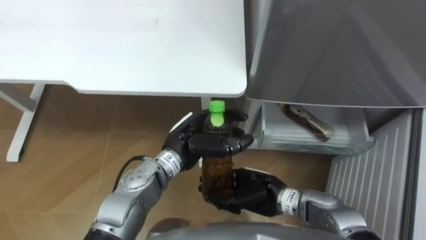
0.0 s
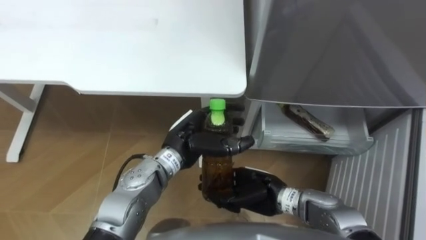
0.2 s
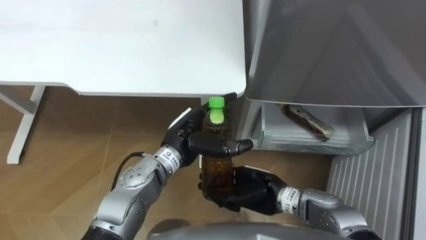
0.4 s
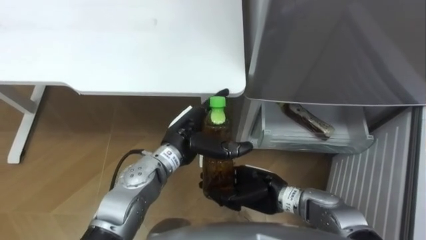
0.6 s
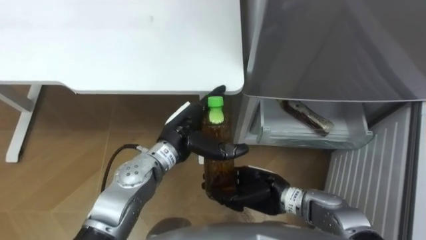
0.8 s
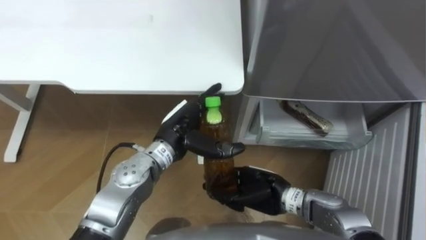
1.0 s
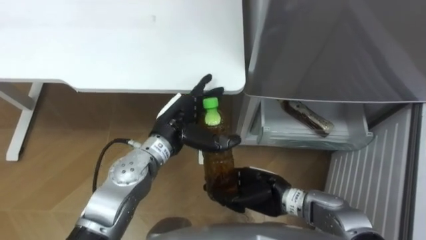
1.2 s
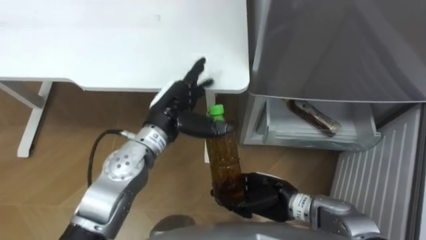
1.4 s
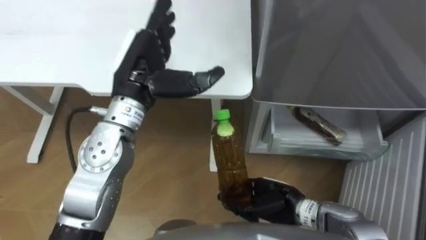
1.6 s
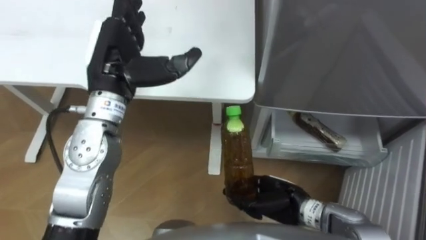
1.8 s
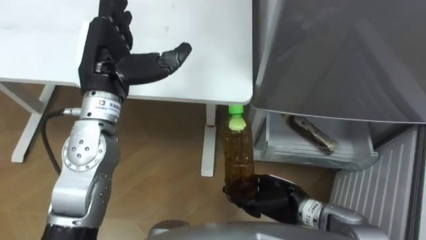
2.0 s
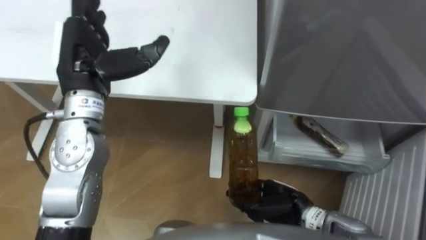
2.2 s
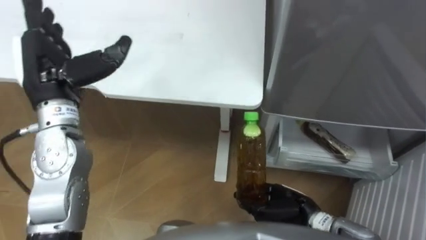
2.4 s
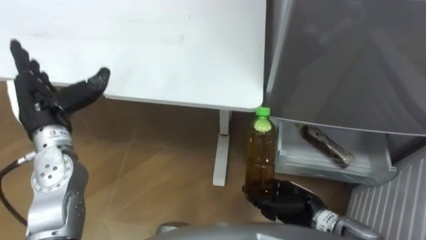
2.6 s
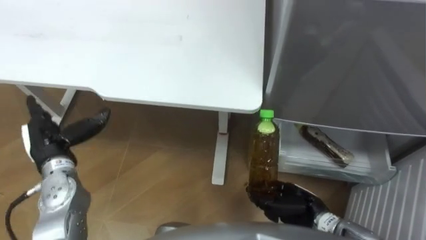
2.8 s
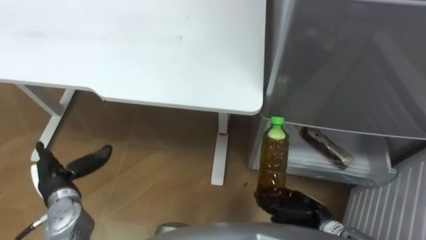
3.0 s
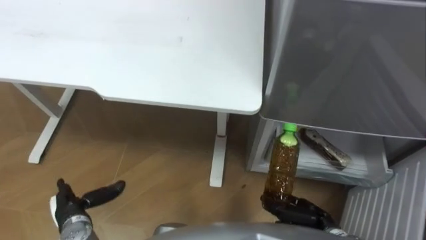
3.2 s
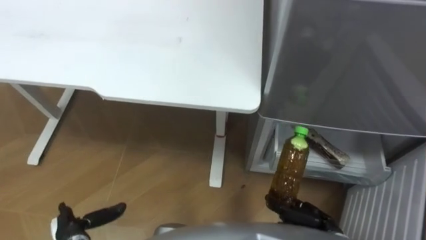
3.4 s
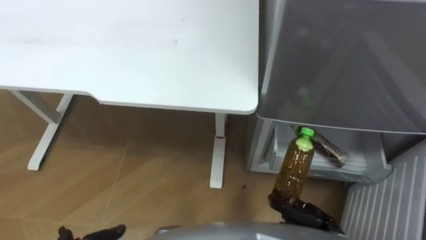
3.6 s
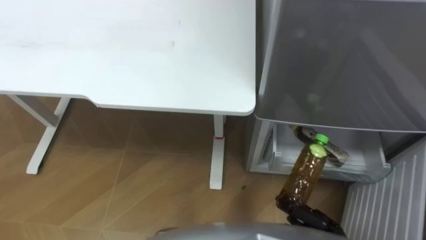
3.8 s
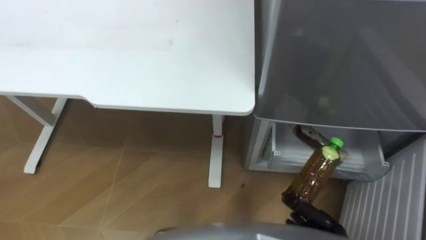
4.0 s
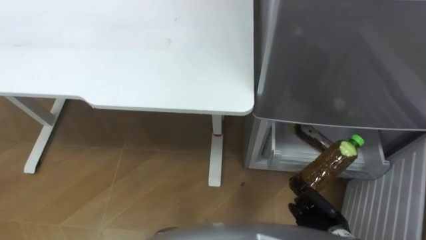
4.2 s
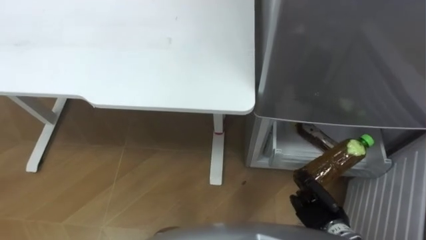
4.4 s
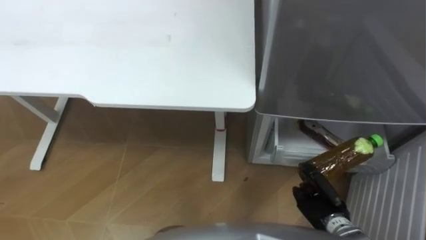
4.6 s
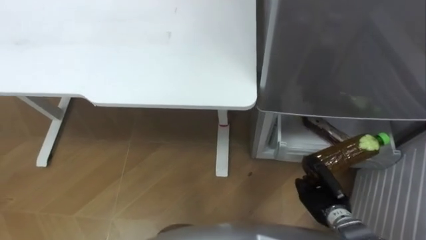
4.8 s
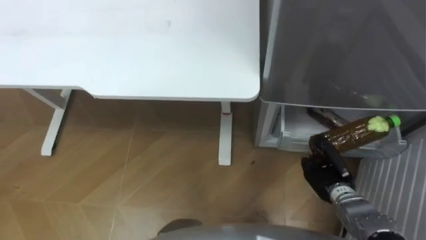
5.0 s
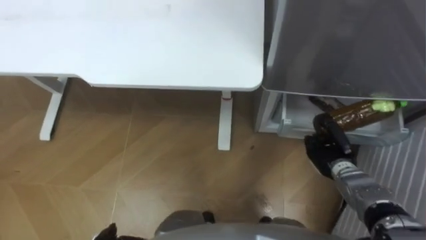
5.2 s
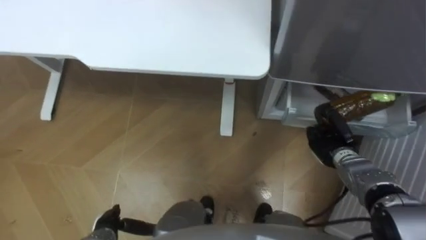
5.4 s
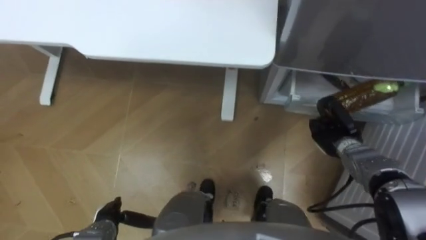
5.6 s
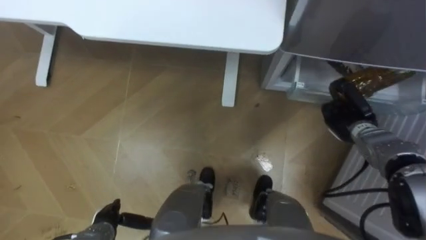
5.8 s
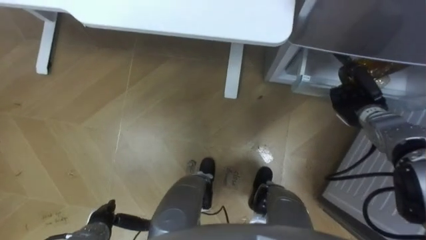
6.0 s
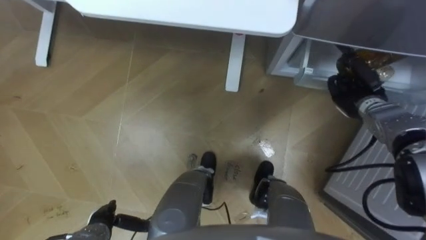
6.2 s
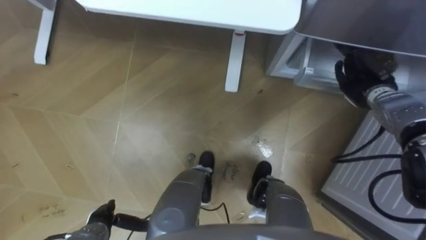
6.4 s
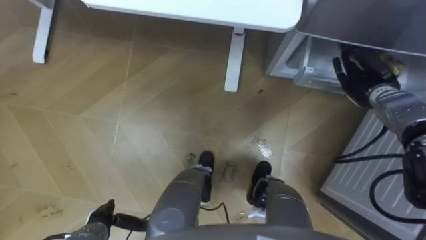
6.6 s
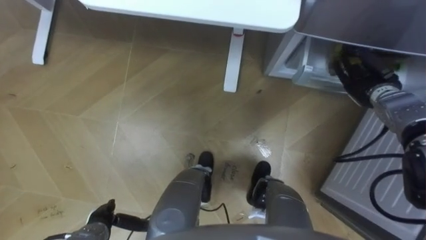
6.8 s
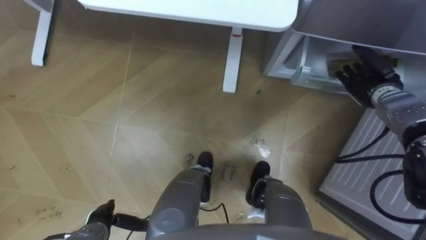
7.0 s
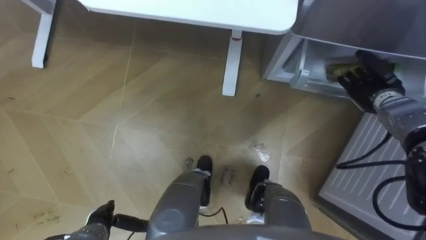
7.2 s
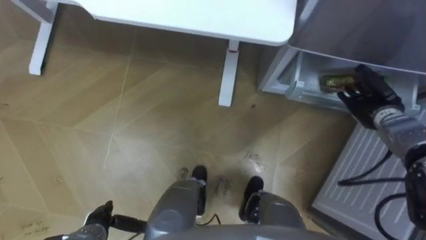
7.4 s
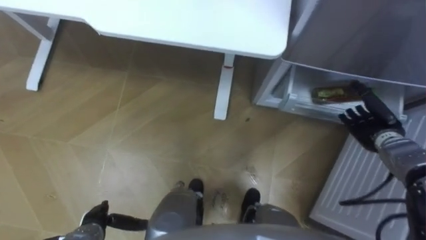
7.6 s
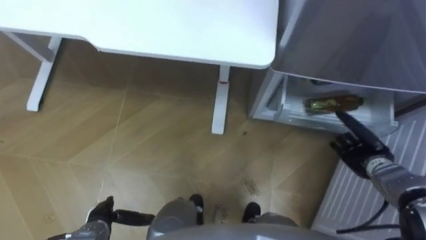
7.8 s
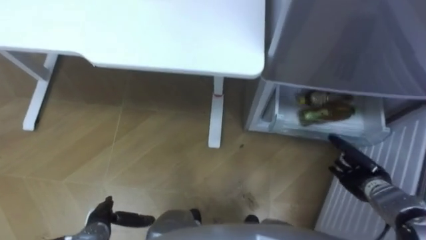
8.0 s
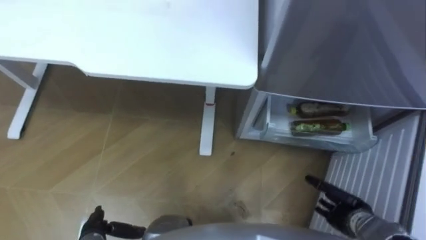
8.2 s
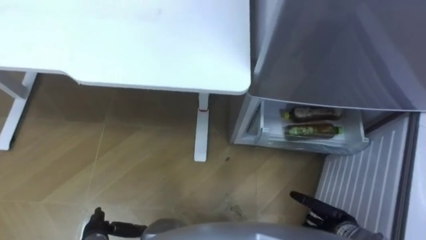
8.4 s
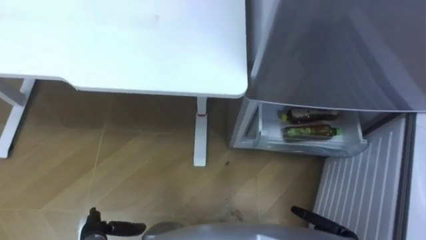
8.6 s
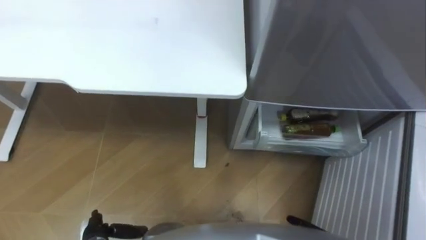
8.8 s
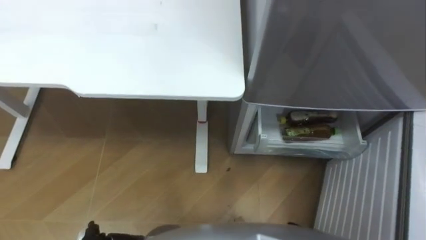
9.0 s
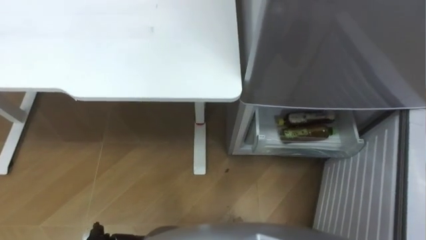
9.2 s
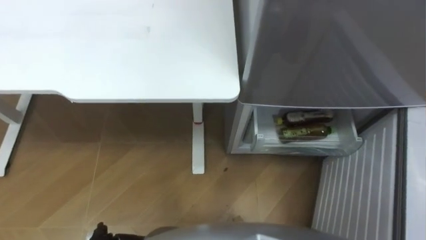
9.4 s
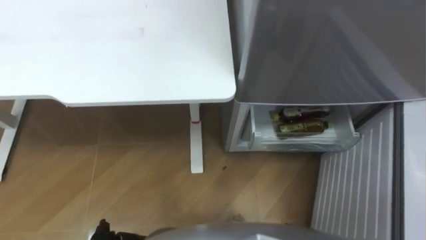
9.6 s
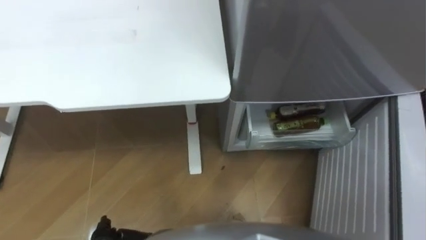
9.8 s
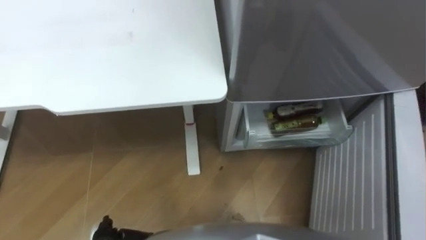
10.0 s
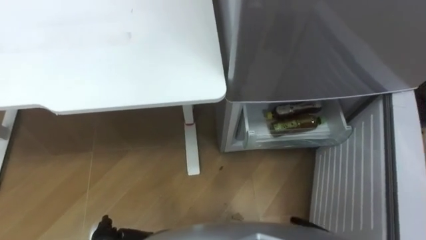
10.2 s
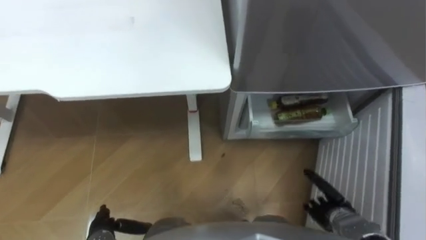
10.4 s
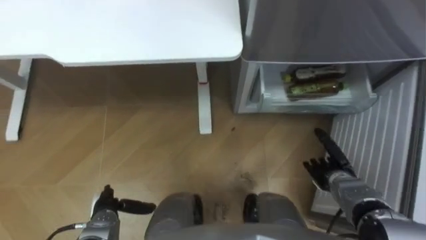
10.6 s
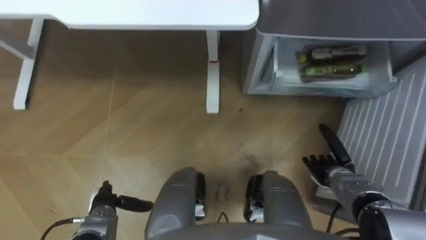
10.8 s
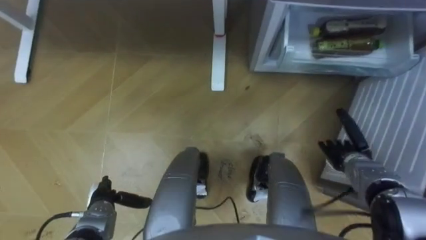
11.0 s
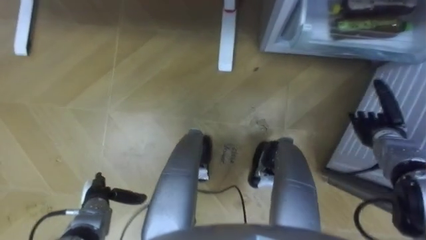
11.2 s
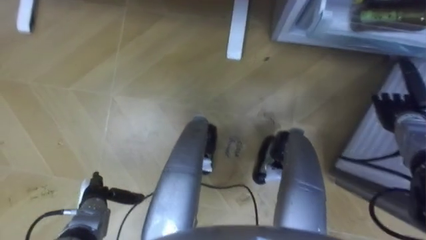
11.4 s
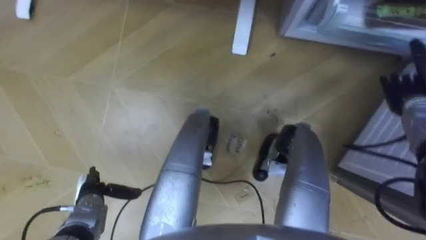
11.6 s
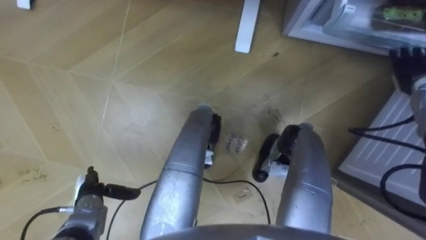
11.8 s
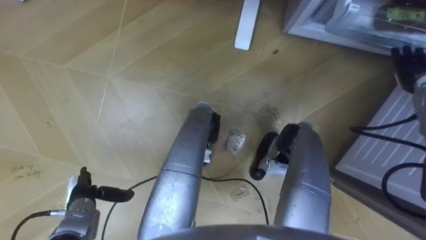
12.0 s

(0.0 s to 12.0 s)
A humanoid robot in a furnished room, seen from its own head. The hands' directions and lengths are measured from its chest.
Task of the whole recording: Place the drink on the table on the bottom shelf of the refrigerator, then close the drawer and the refrigerator door.
0.0 s - 1.6 s: The left hand shifts roughly 15 cm upward and to the left, and opens up.
1.6 s - 3.0 s: The right hand moves to the right, about 5 cm, while the left hand shifts some 30 cm to the left, downward and backward.
3.0 s - 4.4 s: The right hand changes place by approximately 5 cm.
4.4 s - 6.0 s: The right hand shifts approximately 25 cm forward and upward.
6.0 s - 7.6 s: The right hand changes place by about 5 cm, and opens its fingers.
10.4 s - 12.0 s: The left hand goes some 10 cm forward; the right hand travels forward, upward and to the right by roughly 35 cm.

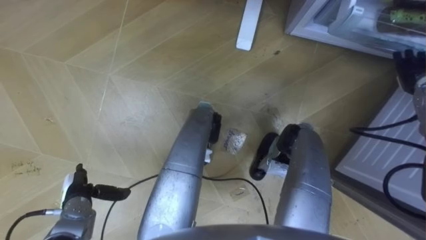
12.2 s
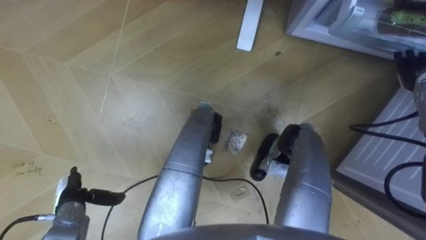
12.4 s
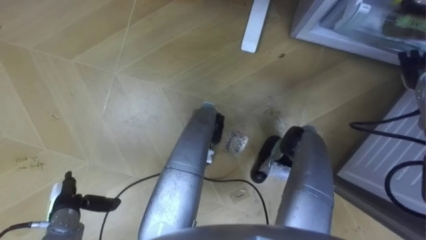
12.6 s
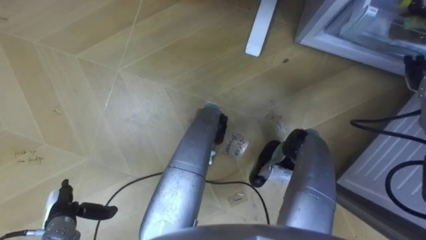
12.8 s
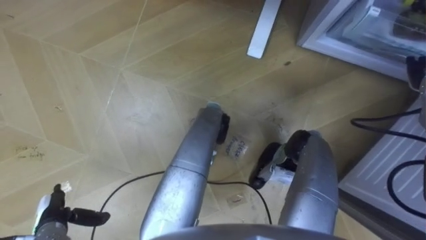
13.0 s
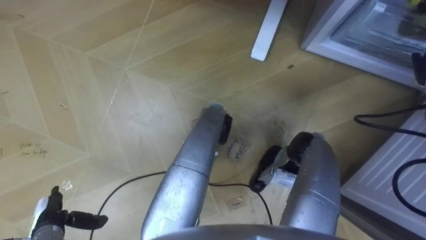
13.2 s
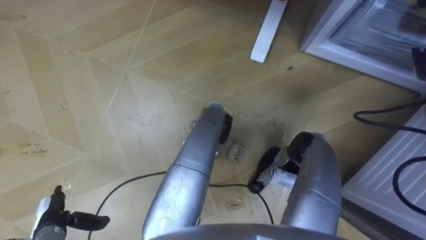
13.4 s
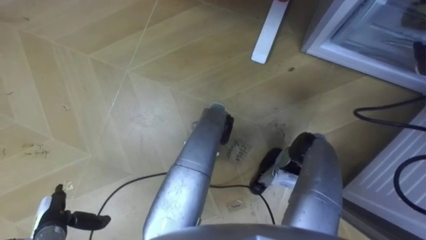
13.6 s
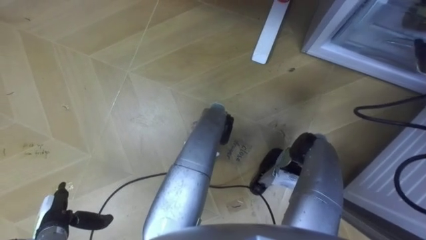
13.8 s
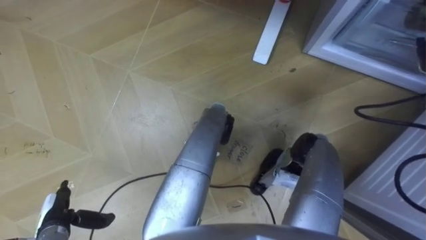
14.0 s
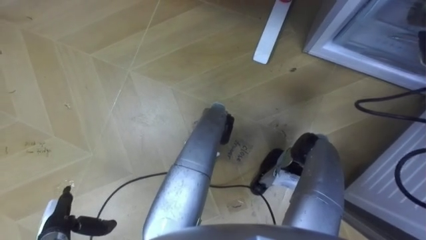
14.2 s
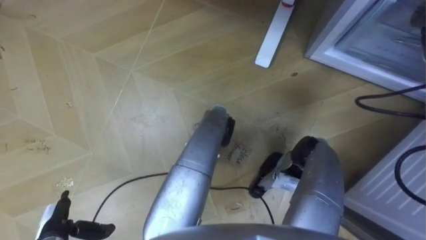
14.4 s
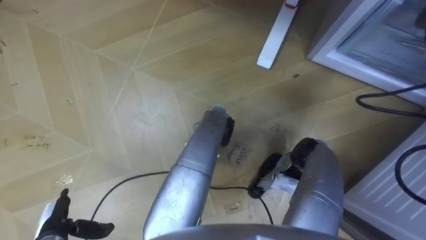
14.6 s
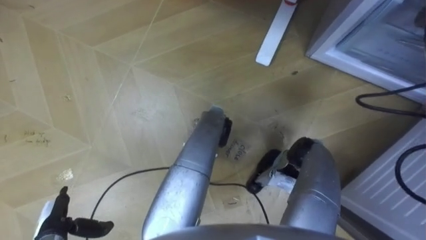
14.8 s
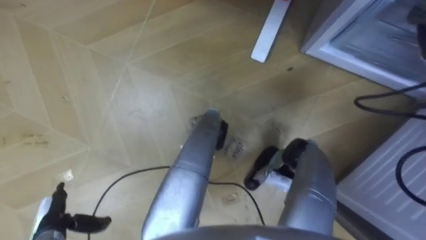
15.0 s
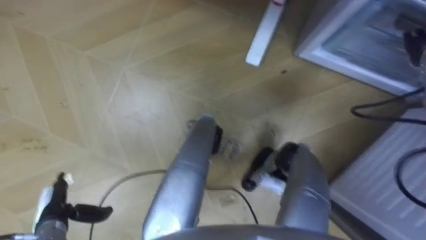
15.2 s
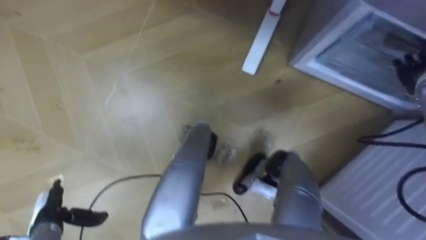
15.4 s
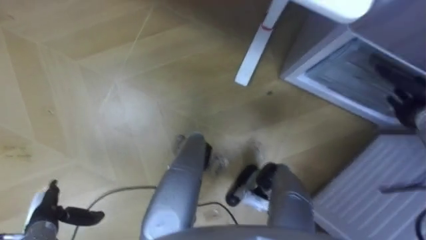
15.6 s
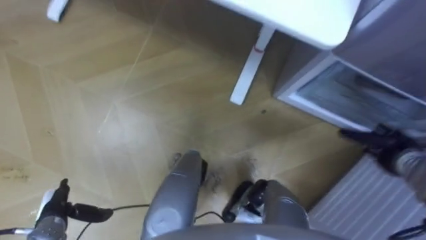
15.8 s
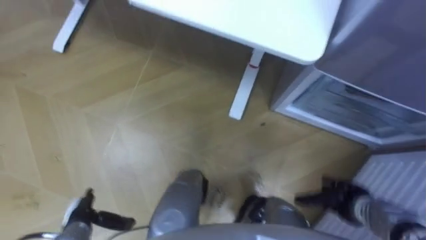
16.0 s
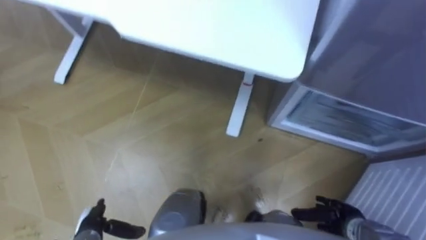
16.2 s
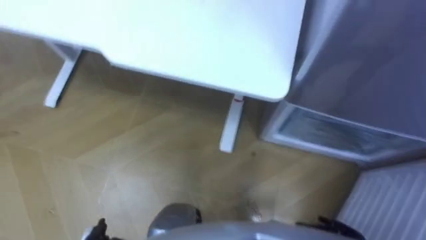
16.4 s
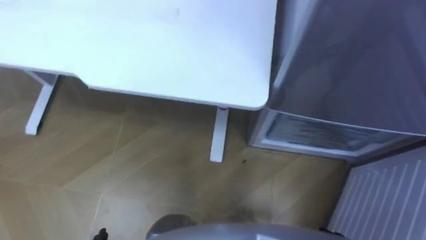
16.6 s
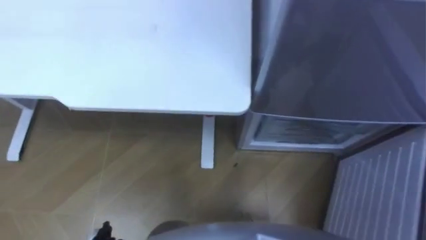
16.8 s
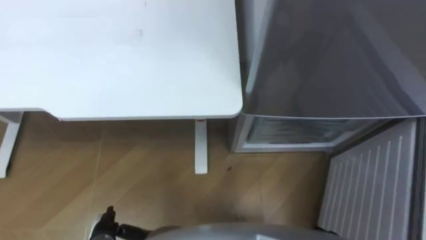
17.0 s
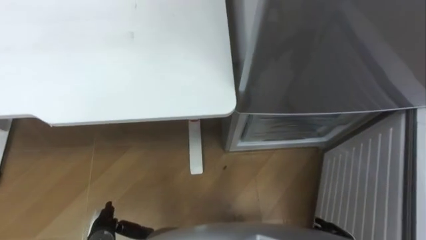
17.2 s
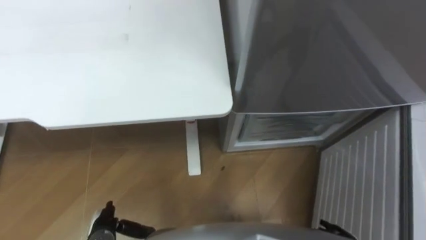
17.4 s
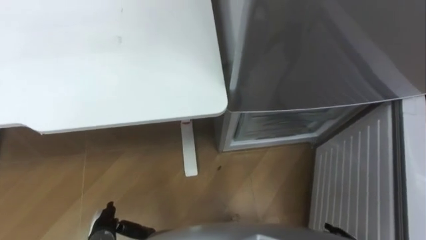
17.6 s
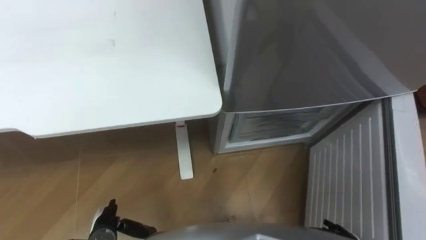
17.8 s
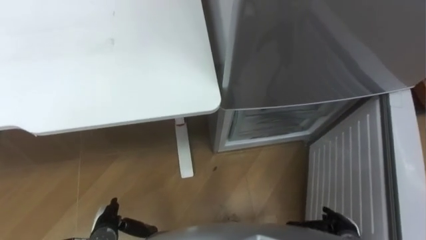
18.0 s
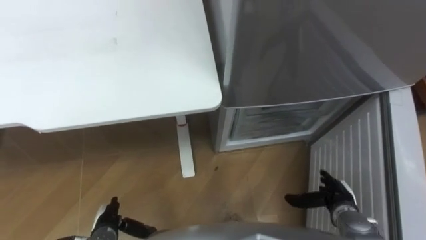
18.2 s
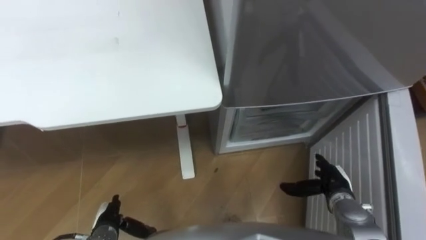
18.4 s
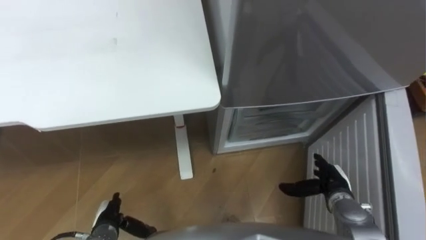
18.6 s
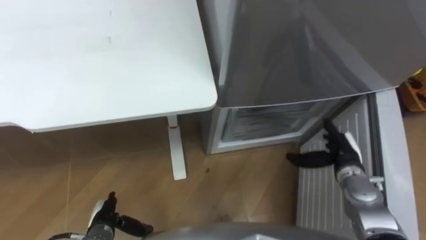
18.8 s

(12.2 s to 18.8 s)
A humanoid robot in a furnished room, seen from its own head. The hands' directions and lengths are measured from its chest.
Task of the whole recording: Place the drink on the table on the bottom shelf of the refrigerator, then close the drawer and the refrigerator door.
12.2 s - 13.8 s: The left hand travels backward by approximately 5 cm.
